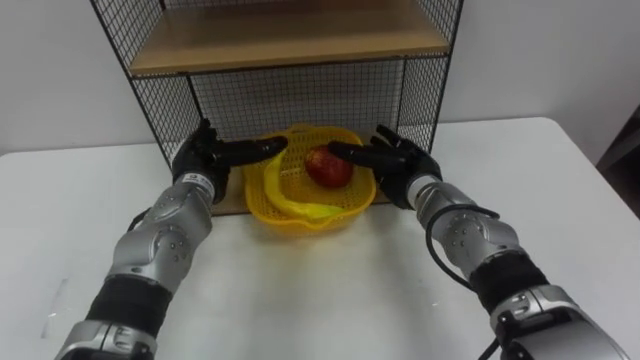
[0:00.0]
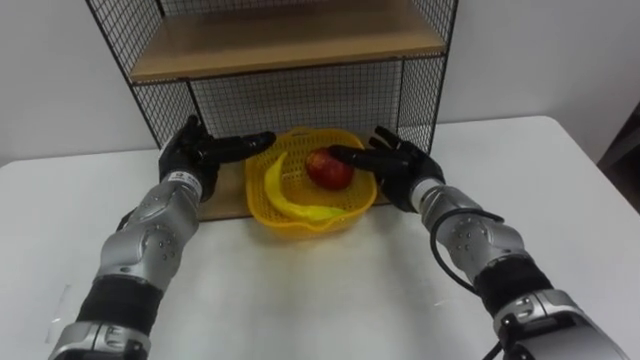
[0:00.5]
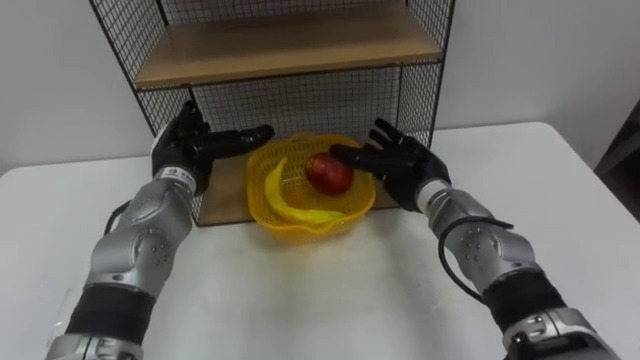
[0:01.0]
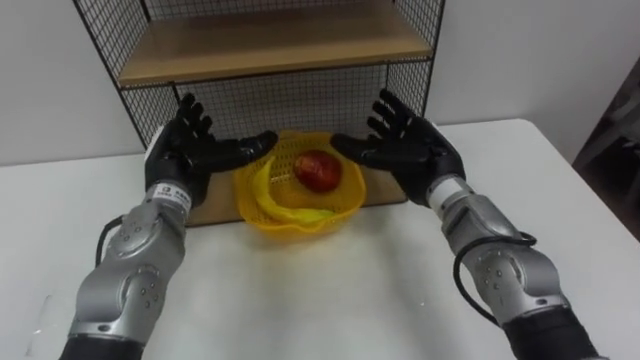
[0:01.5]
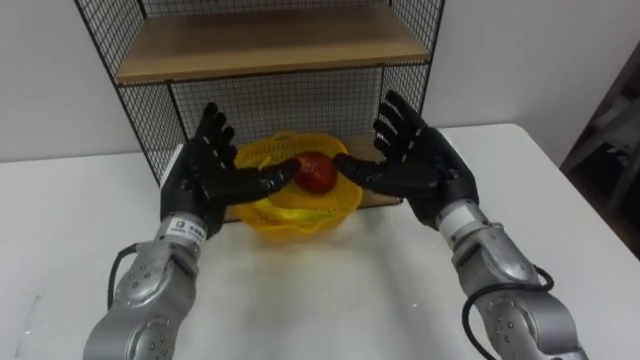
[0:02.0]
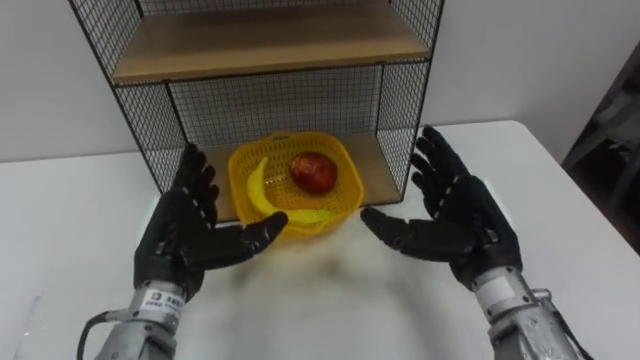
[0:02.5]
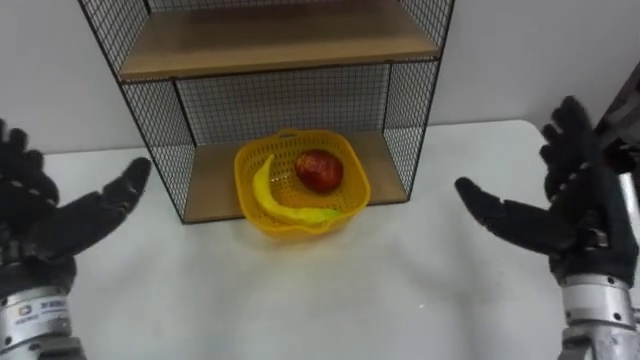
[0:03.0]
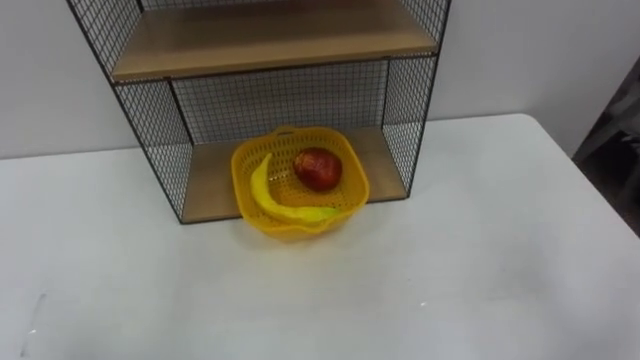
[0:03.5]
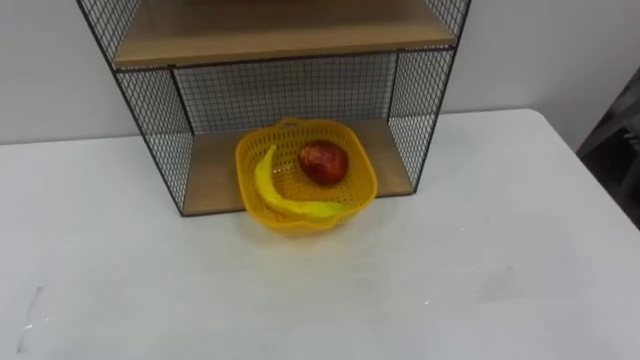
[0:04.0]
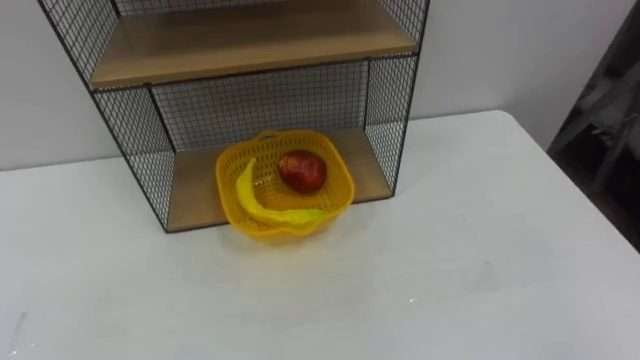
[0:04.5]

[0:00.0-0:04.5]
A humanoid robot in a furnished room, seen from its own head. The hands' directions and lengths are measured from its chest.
Task of the whole recording: Put the fruit on the table into the basket, then place the basket on the shelf.
0:00.0 to 0:02.0: The left hand moves backward, approximately 5 cm; the right hand shifts roughly 10 cm upward and backward.

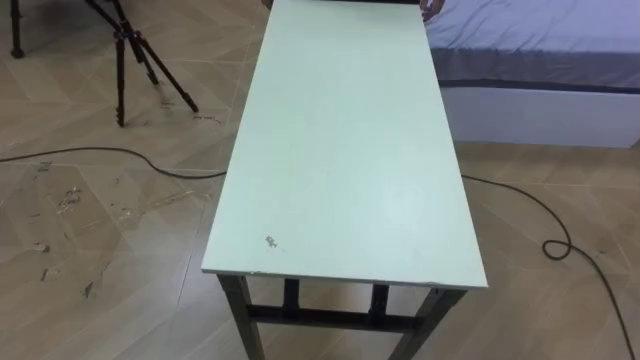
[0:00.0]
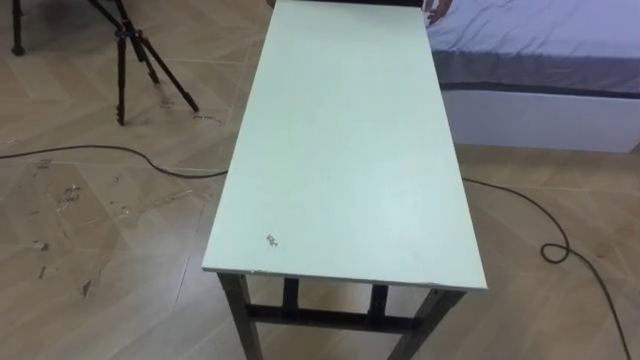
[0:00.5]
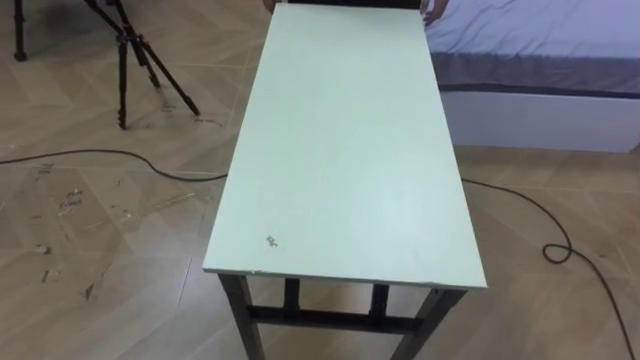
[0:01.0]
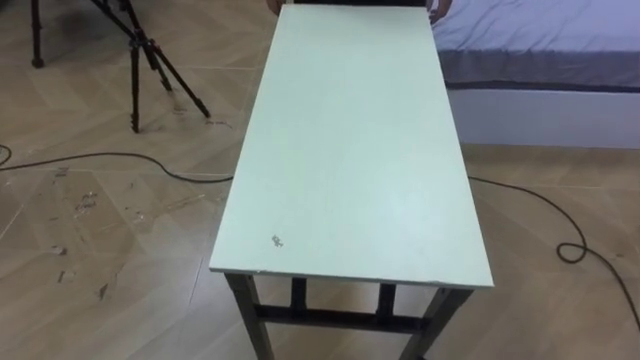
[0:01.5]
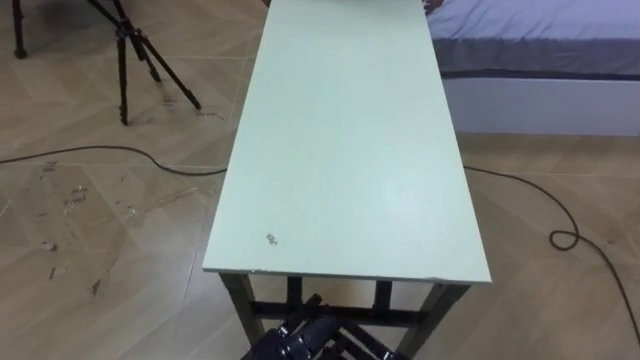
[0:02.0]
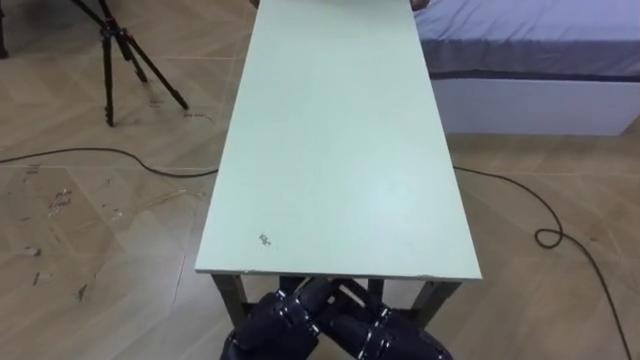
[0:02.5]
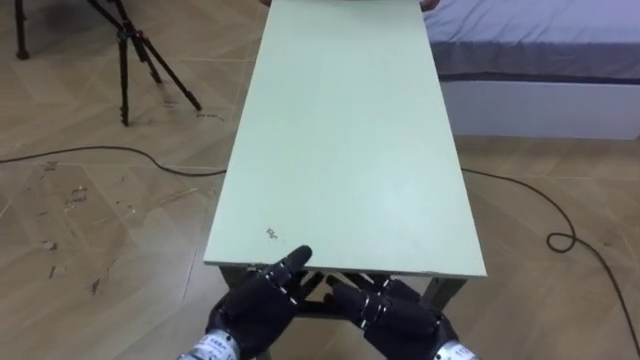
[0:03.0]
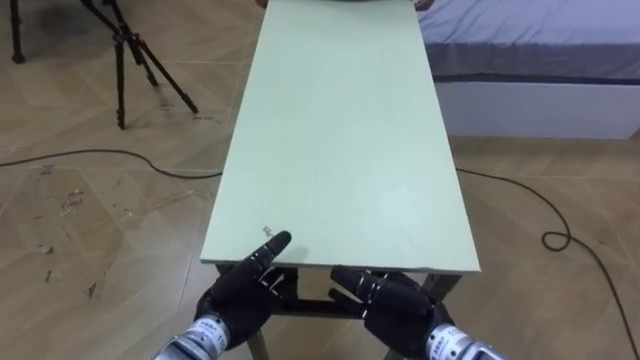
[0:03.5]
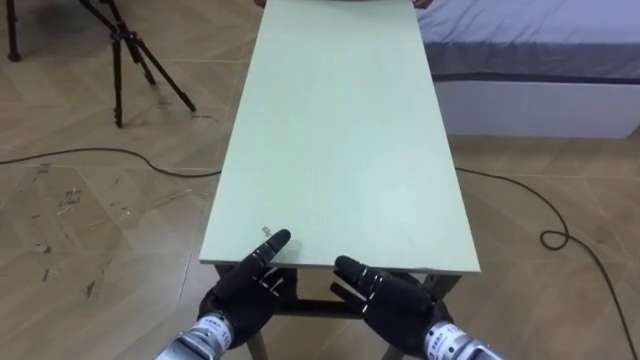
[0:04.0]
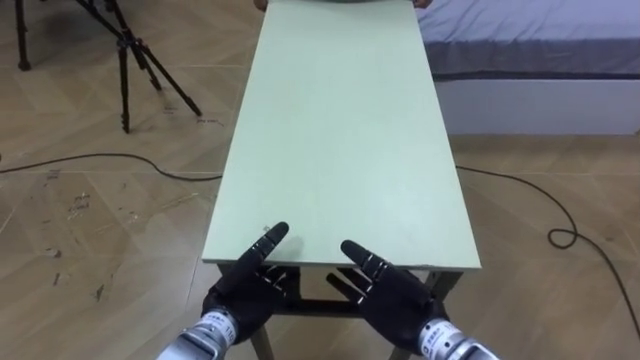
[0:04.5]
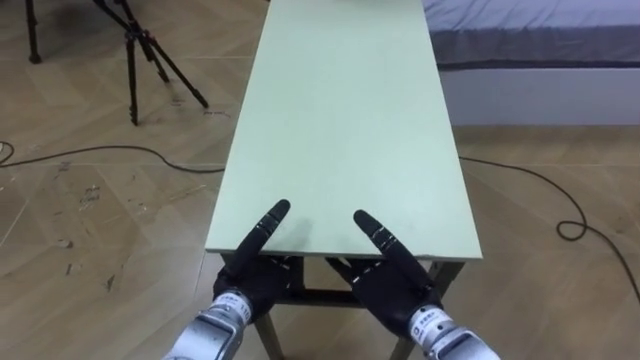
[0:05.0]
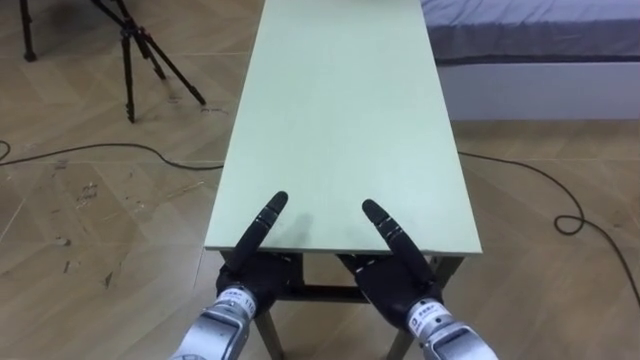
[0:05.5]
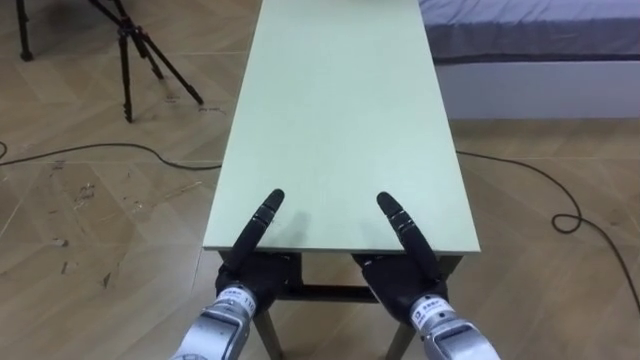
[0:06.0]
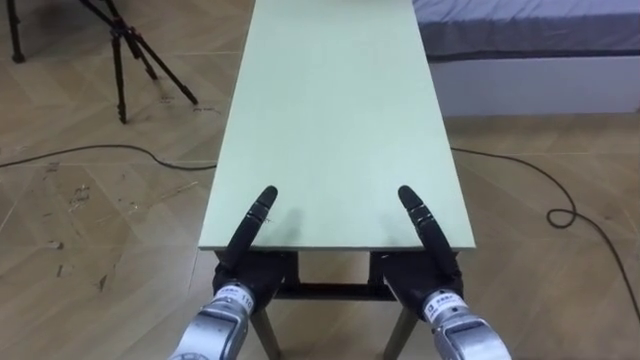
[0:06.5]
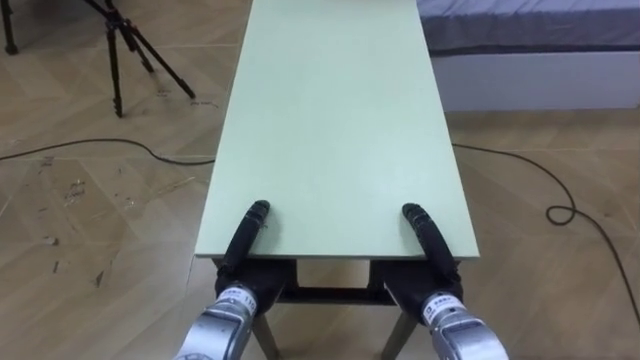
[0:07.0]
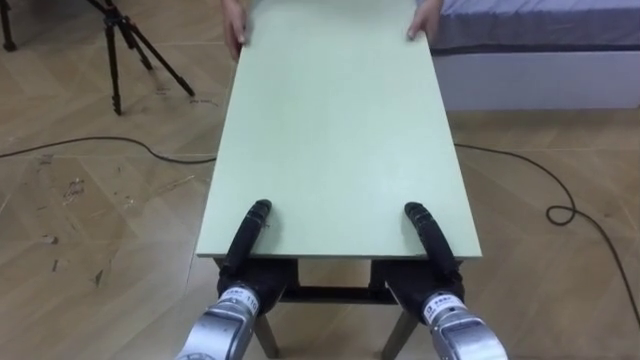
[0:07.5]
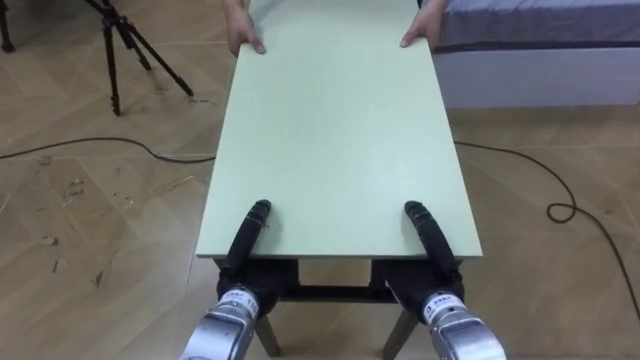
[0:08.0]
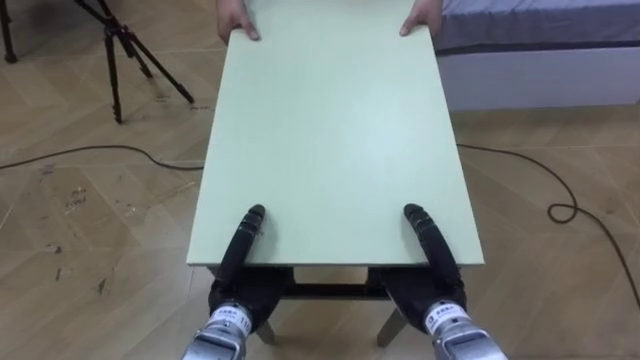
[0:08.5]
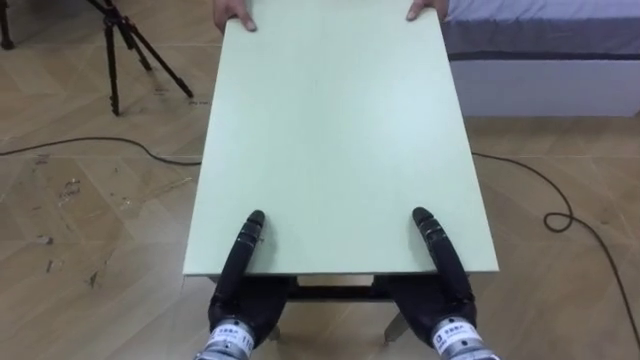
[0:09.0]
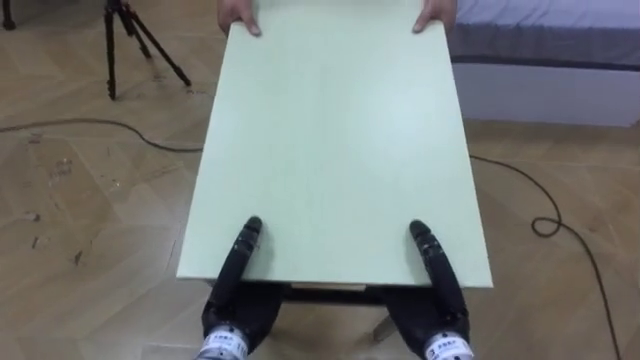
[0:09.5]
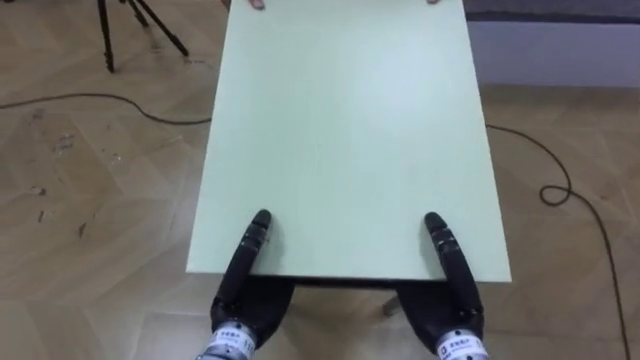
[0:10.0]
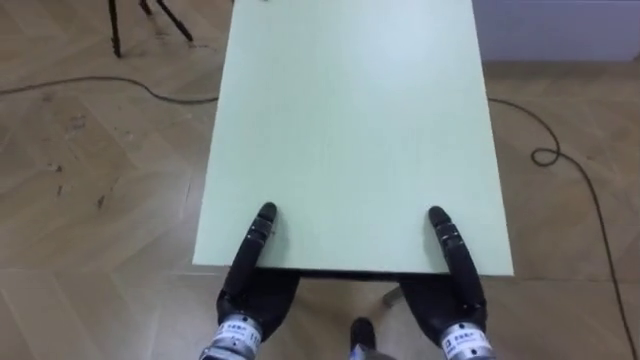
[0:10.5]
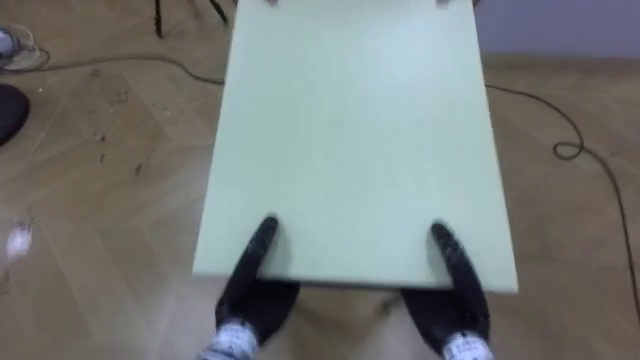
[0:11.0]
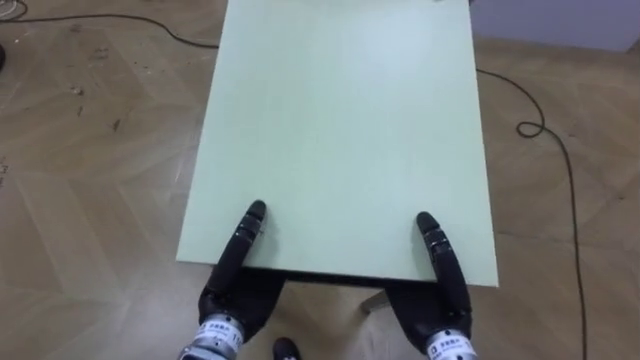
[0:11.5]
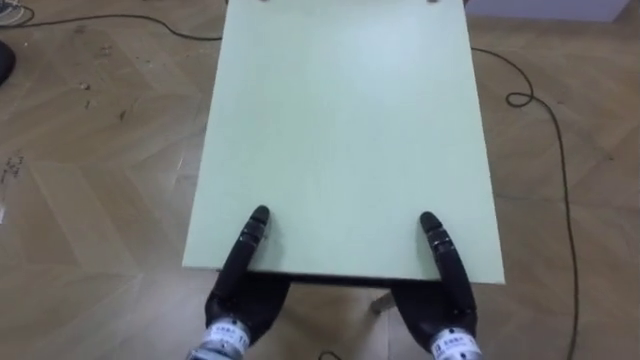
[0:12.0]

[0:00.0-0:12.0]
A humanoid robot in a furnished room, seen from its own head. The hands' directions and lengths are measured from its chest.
Task of the whole recording: Move the table to the back left with someone.
0:06.0 to 0:08.0: The right hand closes its fingers. Meanwhile the left hand closes its fingers.

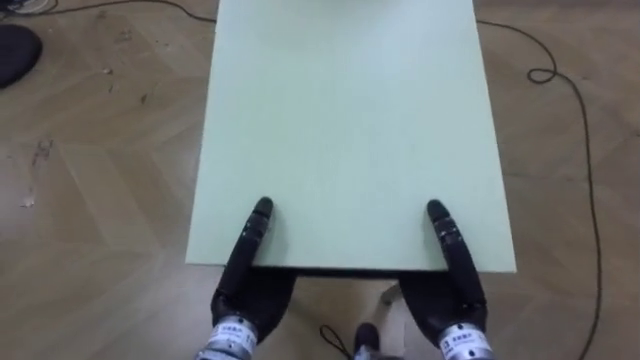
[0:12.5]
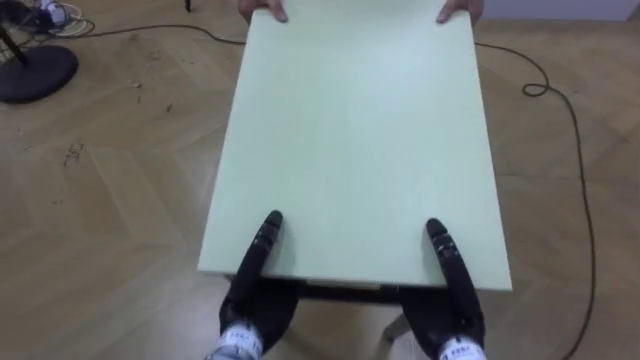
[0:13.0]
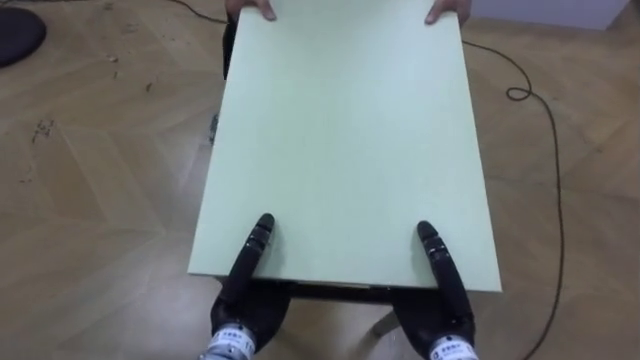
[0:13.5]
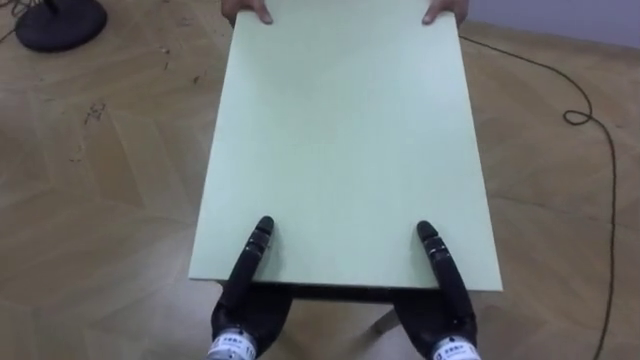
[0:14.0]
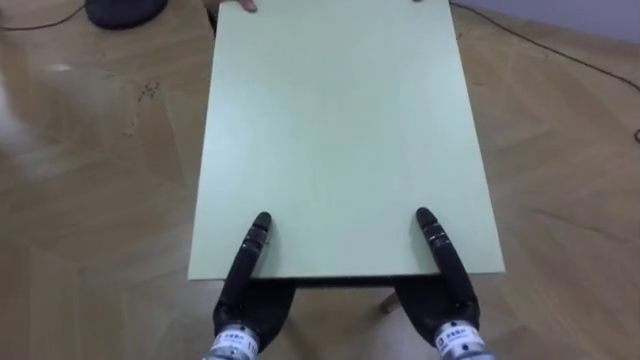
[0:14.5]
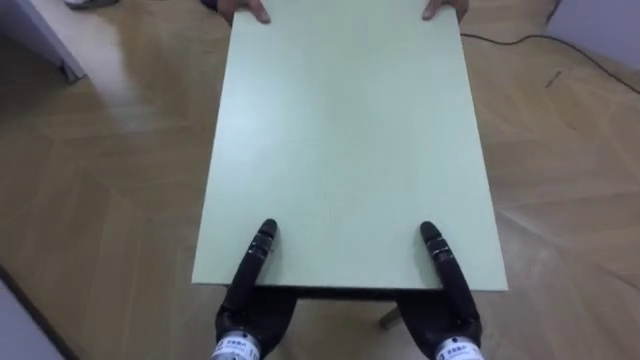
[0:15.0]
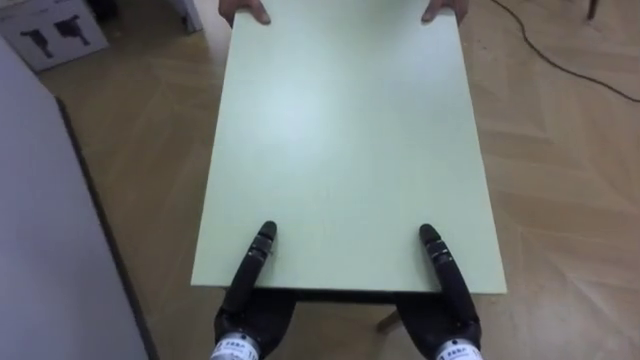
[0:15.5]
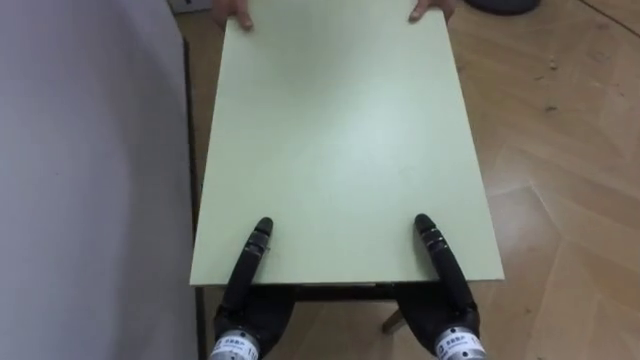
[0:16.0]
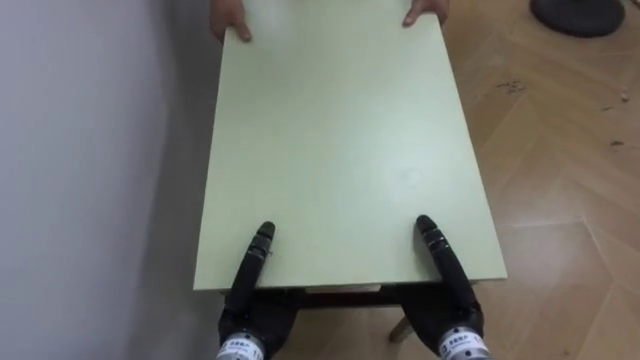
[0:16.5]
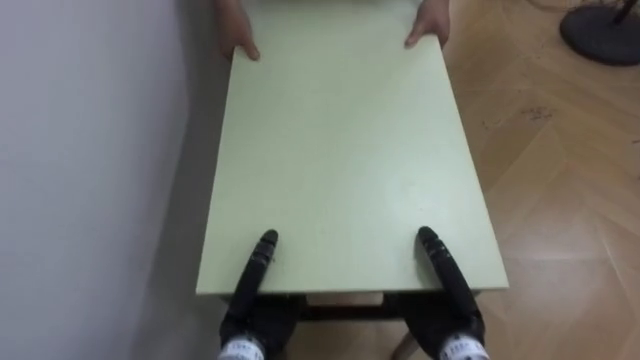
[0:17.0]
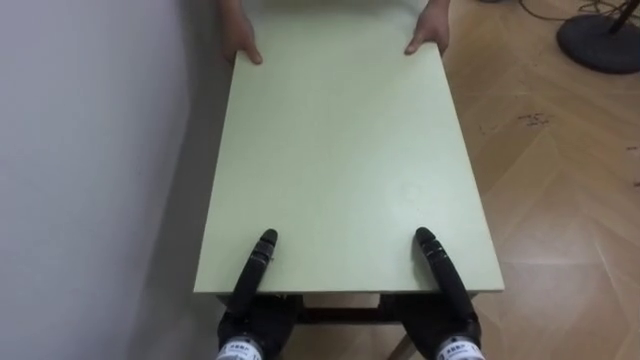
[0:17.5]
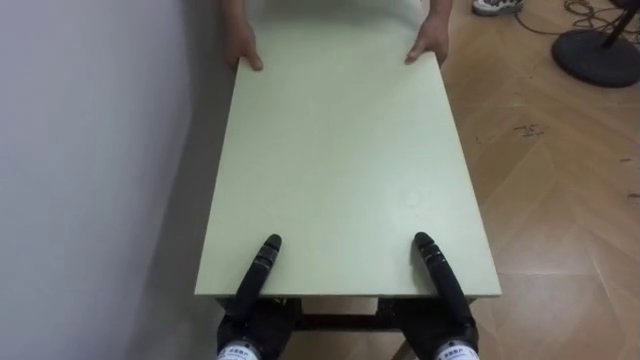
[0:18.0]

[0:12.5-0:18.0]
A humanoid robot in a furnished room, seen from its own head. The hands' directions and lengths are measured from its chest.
Task of the whole recording: Move the table to the back left with someone.
0:14.5 to 0:16.0: The robot's body swings some 55 degrees to its left.
